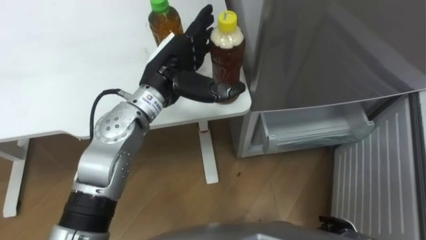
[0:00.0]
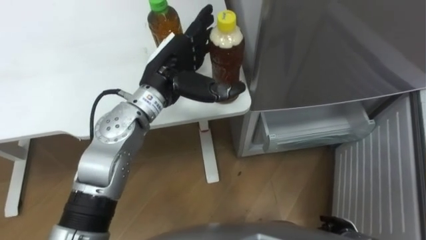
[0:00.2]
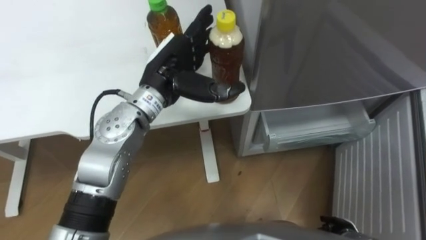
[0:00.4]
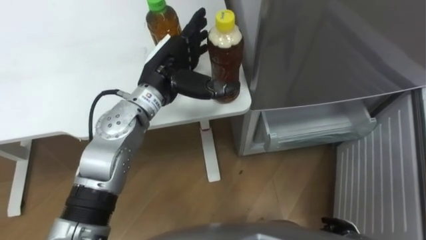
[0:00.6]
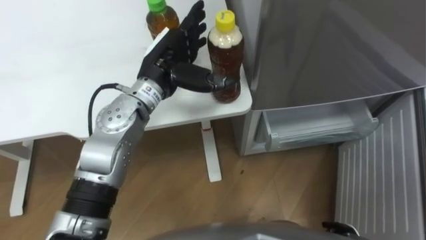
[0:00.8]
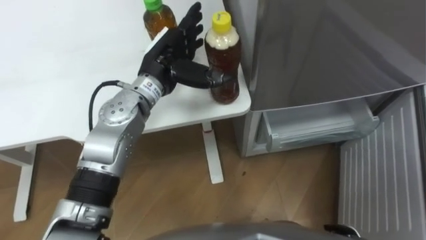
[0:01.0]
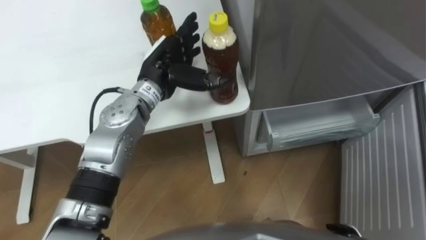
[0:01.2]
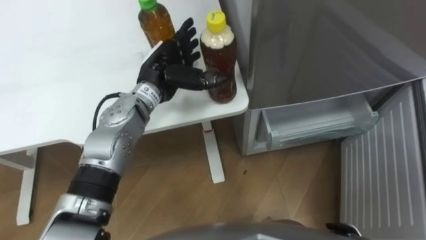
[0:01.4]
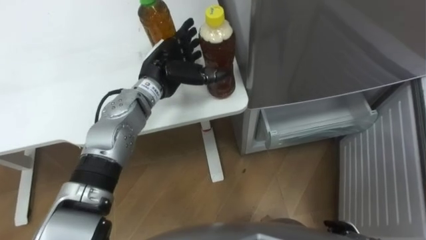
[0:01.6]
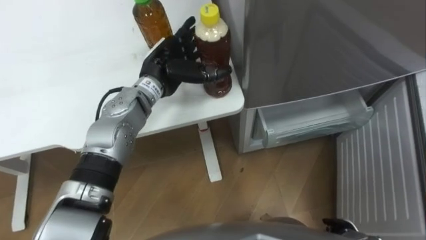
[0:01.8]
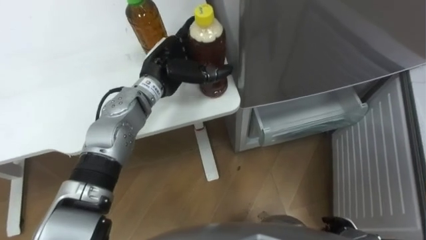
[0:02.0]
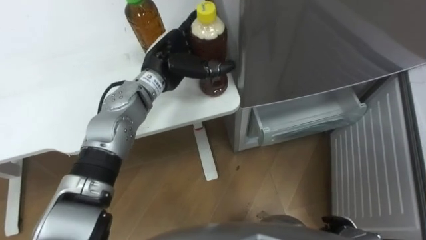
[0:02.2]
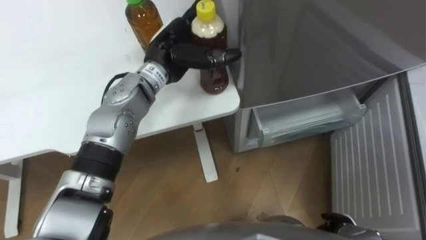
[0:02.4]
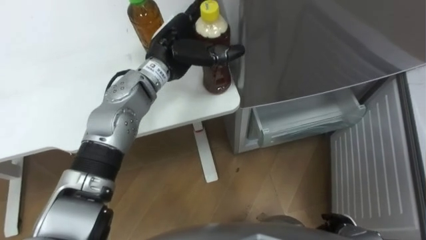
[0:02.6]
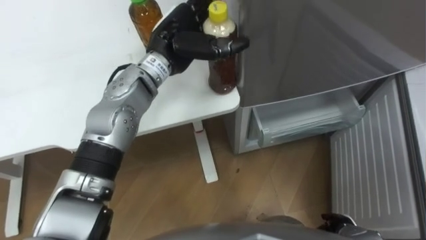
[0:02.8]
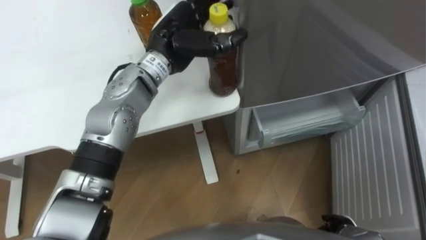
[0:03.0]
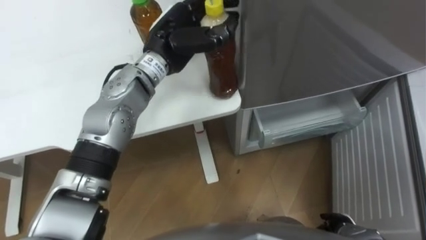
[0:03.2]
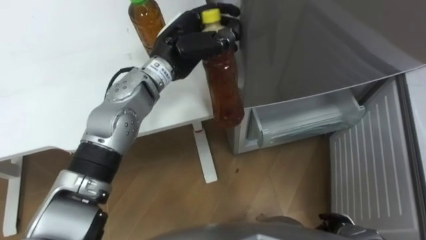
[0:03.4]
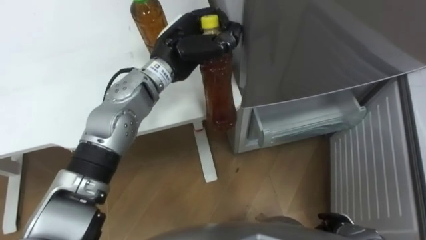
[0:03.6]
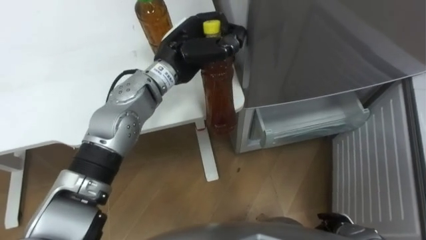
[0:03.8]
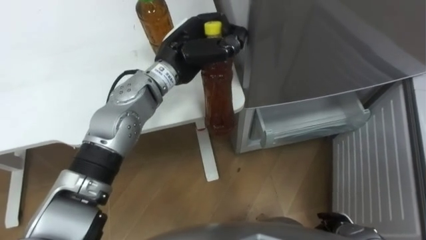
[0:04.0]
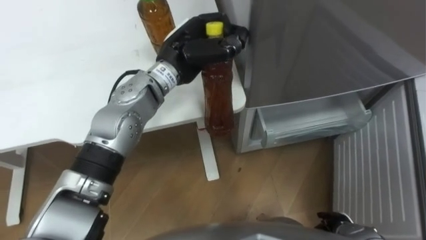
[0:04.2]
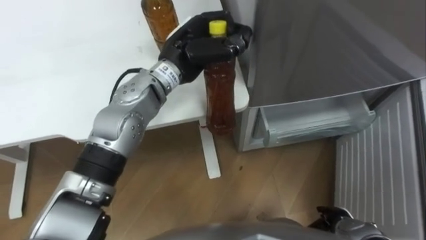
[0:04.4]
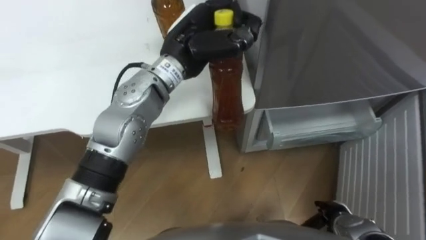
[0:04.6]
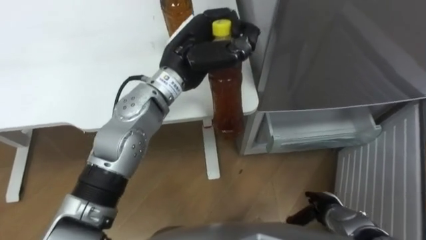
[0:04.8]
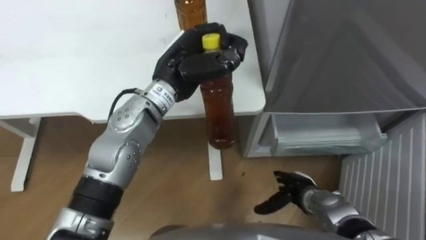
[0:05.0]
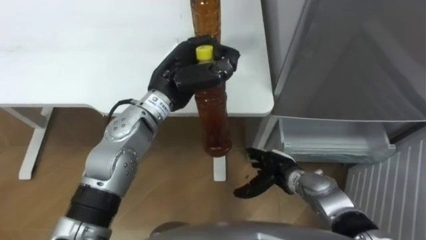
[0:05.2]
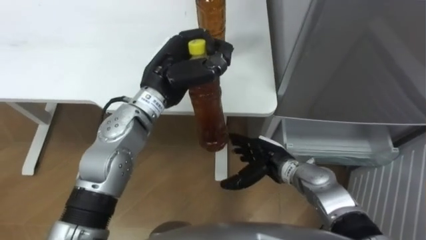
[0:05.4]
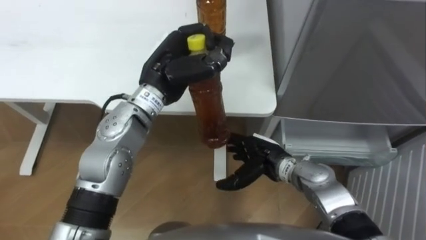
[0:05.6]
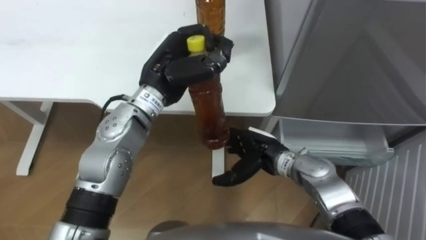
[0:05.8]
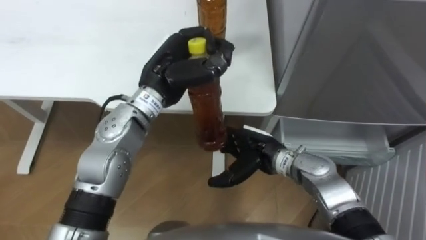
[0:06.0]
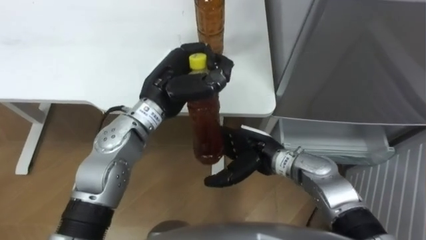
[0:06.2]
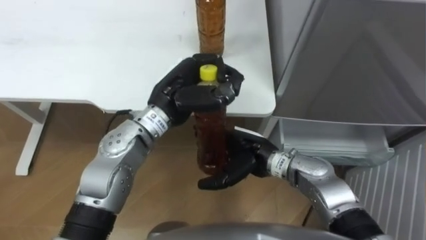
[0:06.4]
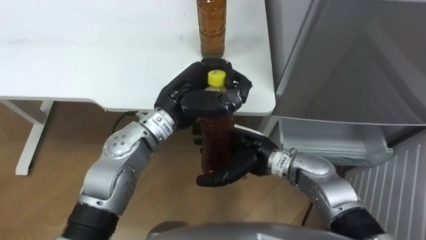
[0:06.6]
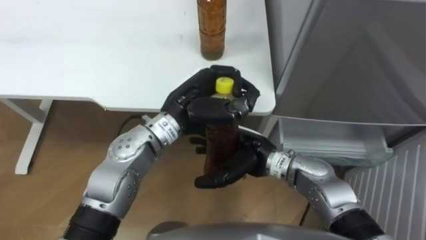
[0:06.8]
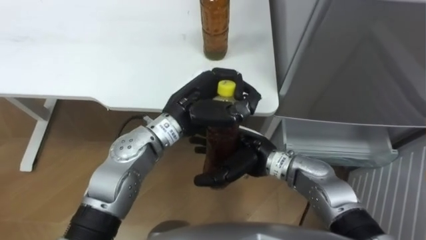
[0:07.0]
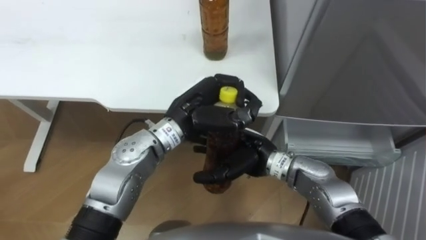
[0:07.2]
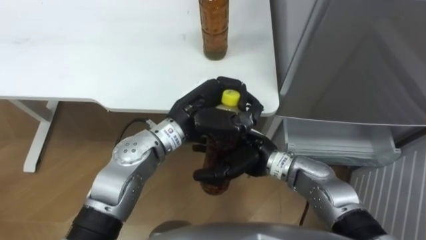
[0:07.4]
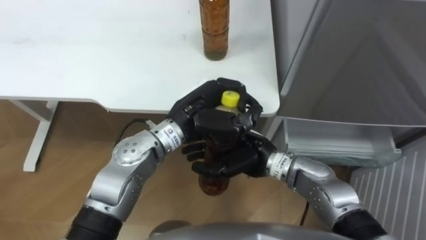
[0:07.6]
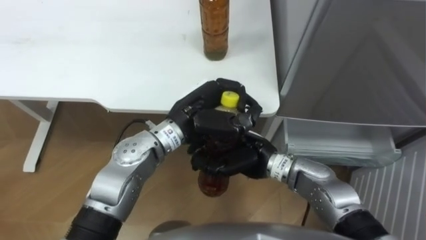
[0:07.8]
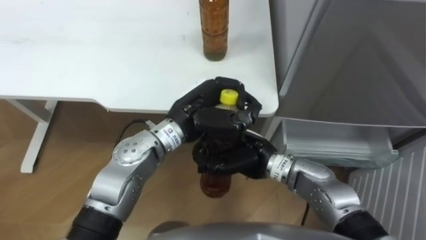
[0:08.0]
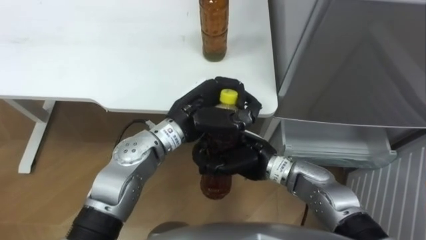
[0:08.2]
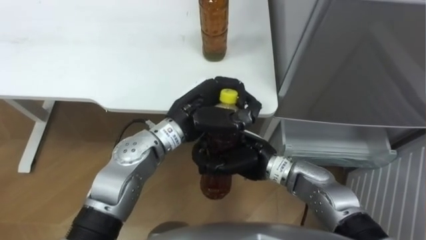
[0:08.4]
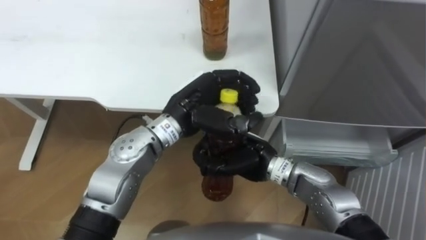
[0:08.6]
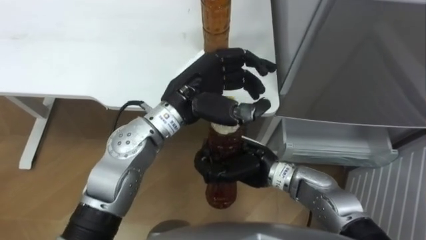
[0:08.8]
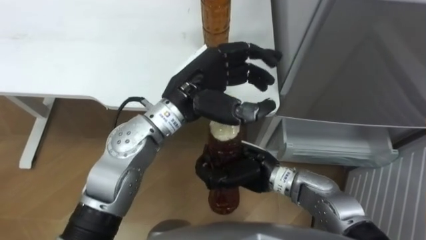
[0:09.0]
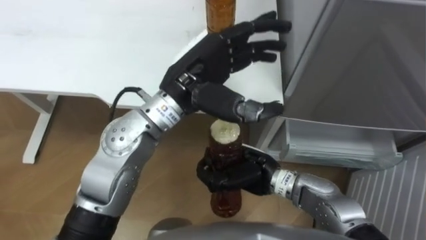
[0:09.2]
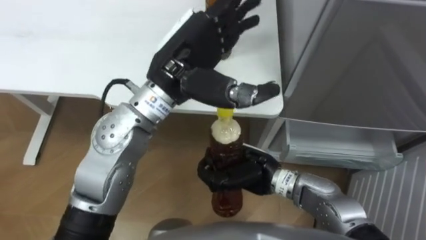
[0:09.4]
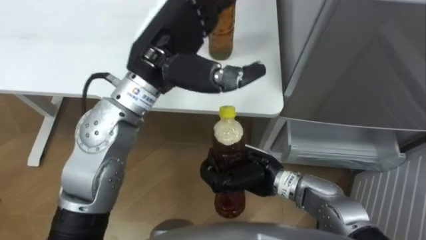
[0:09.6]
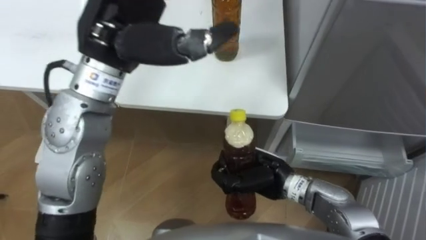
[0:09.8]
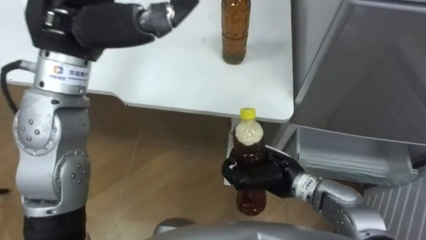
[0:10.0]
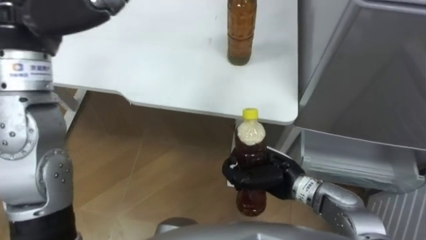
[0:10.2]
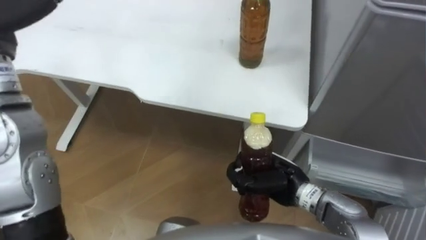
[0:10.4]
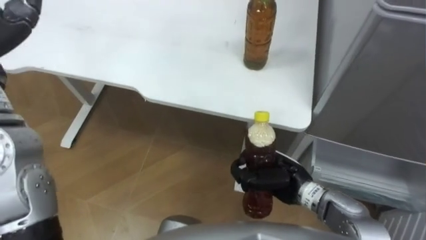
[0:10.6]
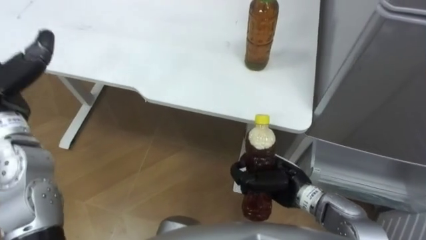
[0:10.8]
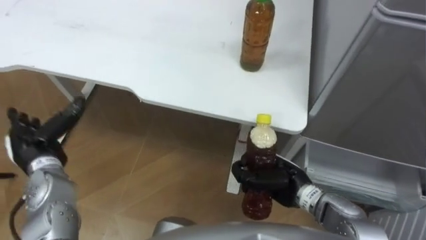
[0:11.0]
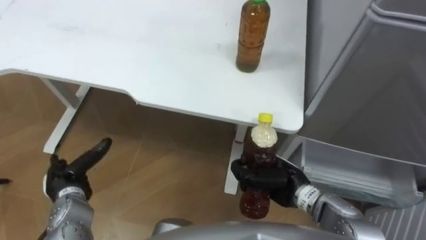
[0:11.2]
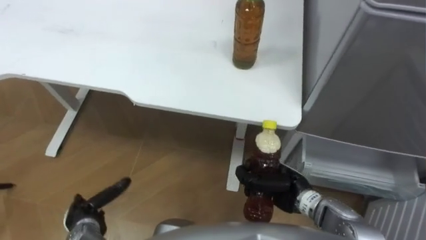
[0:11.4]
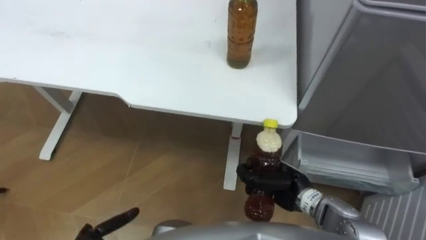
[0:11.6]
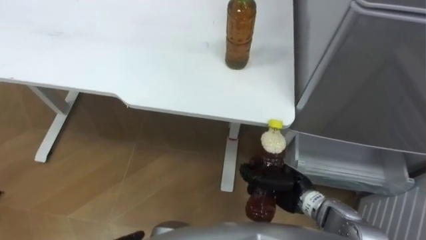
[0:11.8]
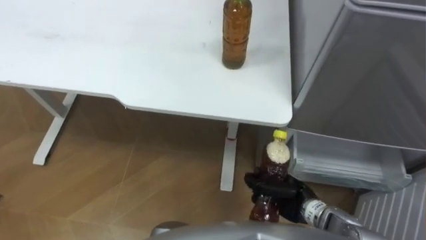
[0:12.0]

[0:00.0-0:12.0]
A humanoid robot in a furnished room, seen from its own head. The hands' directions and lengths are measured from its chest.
Task of the whole recording: Place the drink on the table on the bottom shelf of the refrigerator, then close the drawer and the refrigerator door.
0:00.0 to 0:01.6: The left hand is displaced downward by about 5 cm.
0:01.6 to 0:03.0: The left hand travels upward by approximately 5 cm.
0:03.0 to 0:04.4: The left hand closes its fingers.
0:04.4 to 0:06.0: The right hand travels to the left, forward and upward by some 25 cm; the left hand ends up approximately 5 cm from where it was.
0:06.0 to 0:07.6: The left hand ends up roughly 10 cm from where it was.
0:07.6 to 0:09.0: The left hand is displaced upward by some 5 cm, and opens its fingers; the right hand closes its fingers.
0:09.0 to 0:10.4: The right hand travels to the right by some 5 cm.
0:10.4 to 0:12.0: The right hand heads downward, covering roughly 5 cm.

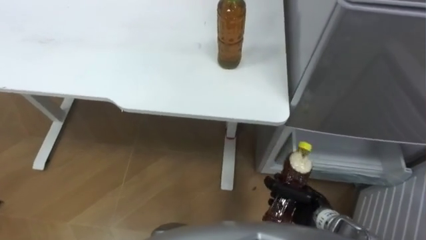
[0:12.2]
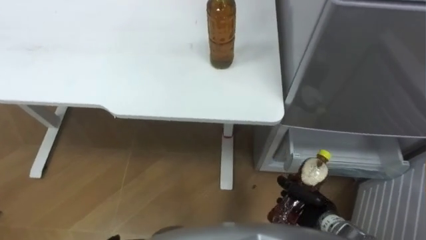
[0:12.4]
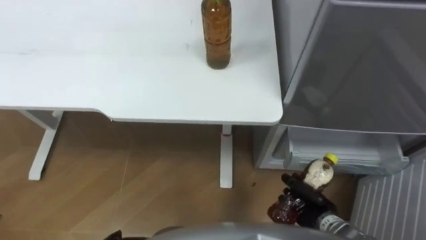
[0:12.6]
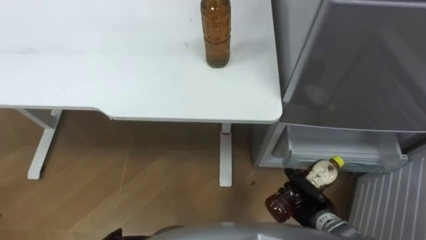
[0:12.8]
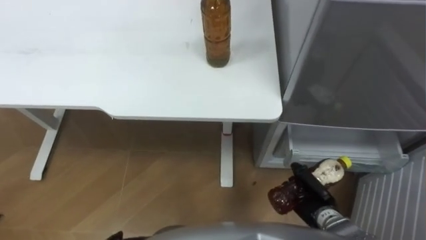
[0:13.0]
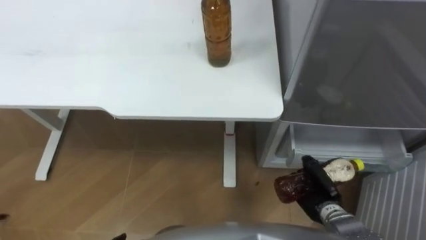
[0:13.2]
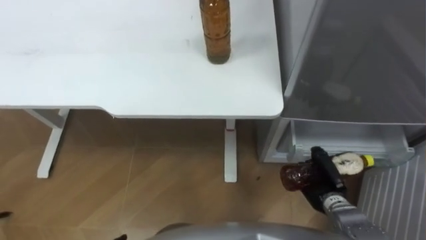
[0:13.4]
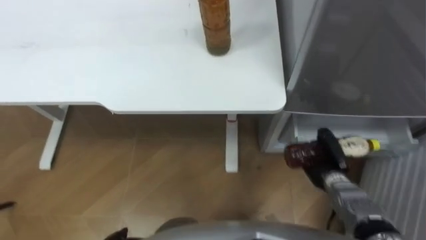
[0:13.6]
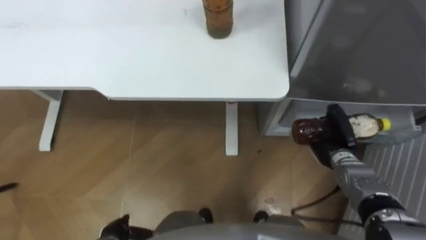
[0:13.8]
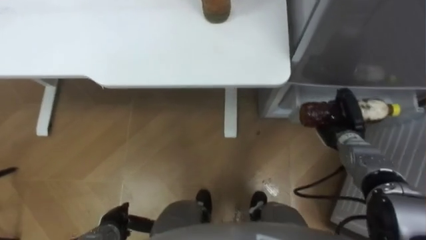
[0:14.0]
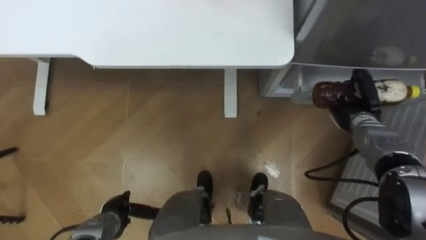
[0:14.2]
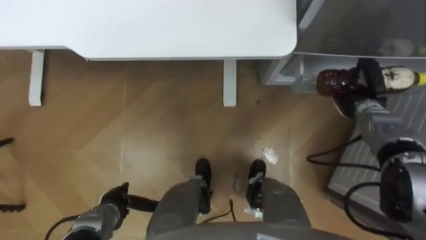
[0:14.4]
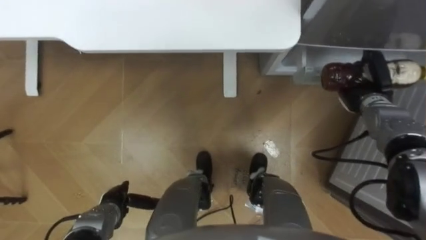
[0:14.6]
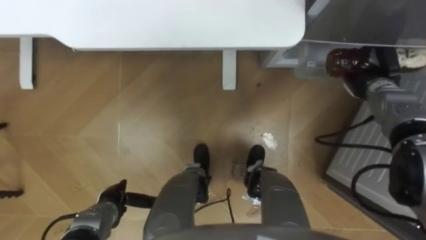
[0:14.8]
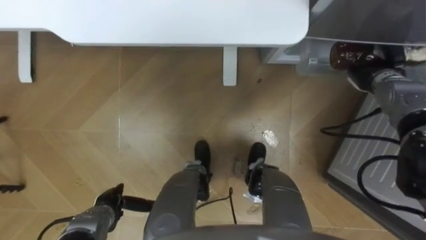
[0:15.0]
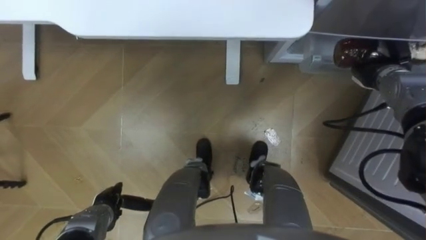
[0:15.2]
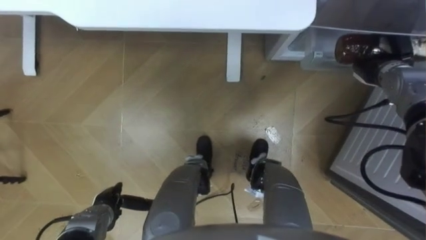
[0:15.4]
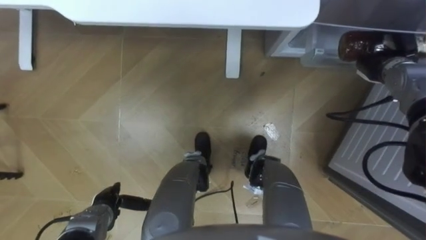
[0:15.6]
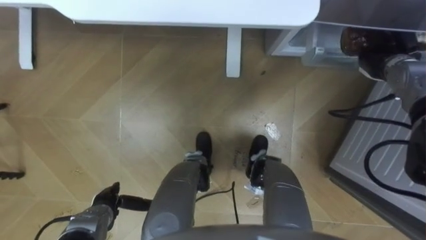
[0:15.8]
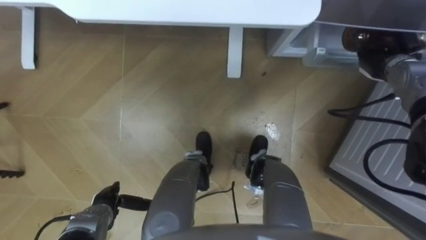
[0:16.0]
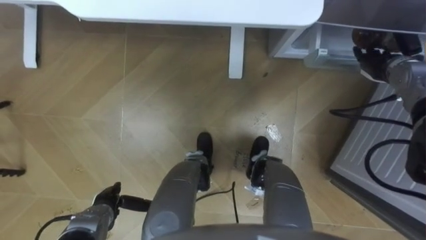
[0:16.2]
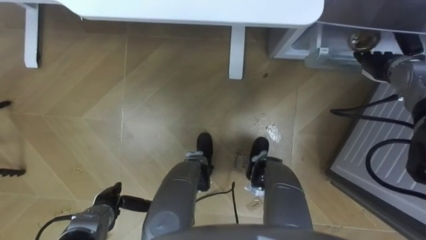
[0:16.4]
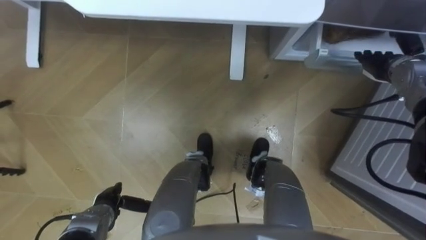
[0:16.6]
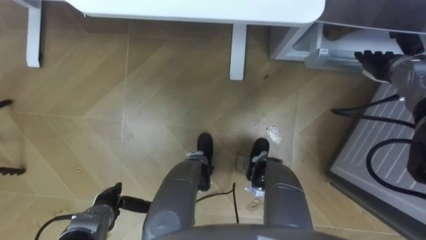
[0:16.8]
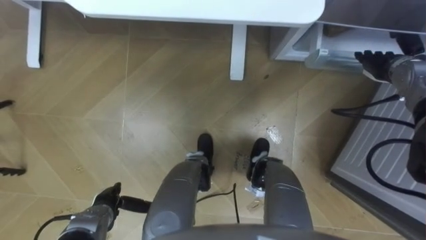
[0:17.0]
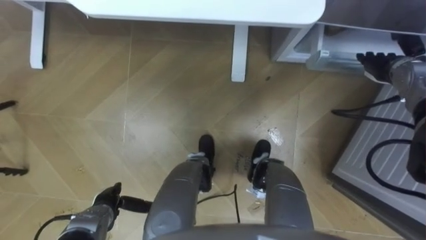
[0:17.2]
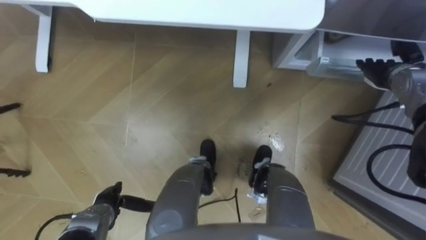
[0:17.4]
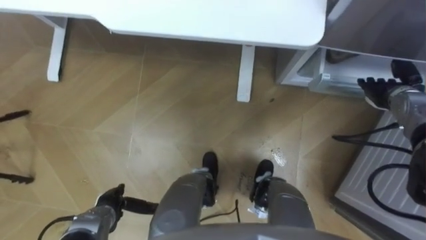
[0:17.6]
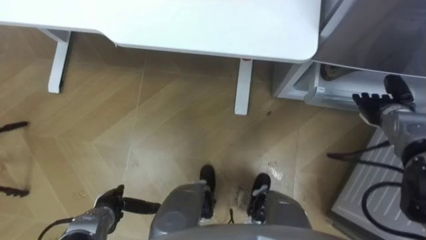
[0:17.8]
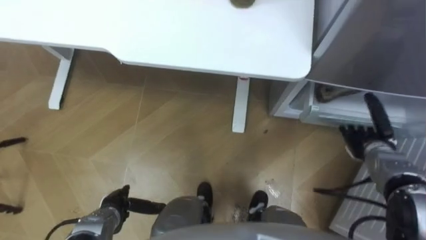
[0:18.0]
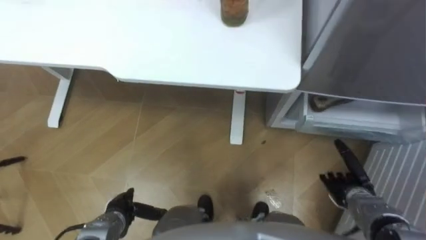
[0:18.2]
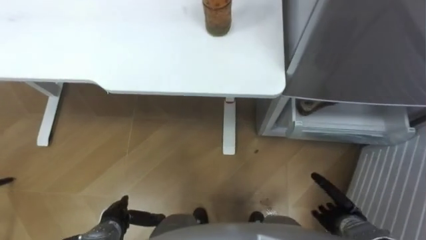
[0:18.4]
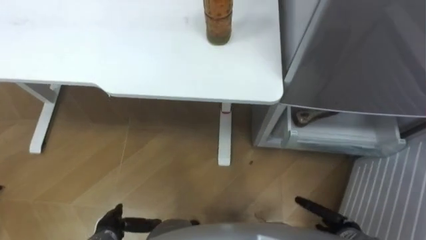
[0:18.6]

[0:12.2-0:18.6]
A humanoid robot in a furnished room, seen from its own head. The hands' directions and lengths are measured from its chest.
Task of the whole recording: Place the drink on the table on the bottom shelf of the refrigerator, then close the drawer and the refrigerator door.
0:12.2 to 0:13.8: The right hand moves forward and to the right, approximately 15 cm.
0:13.8 to 0:15.4: The left hand shifts roughly 5 cm forward; the right hand heads forward, upward and to the right, covering approximately 20 cm.
0:15.4 to 0:17.0: The right hand opens its fingers.
0:17.0 to 0:18.6: The right hand is displaced backward and downward by some 40 cm.
